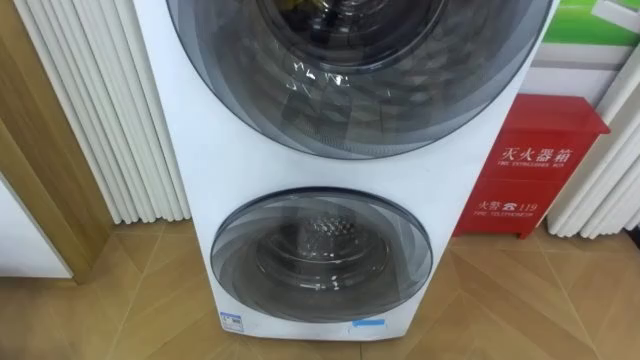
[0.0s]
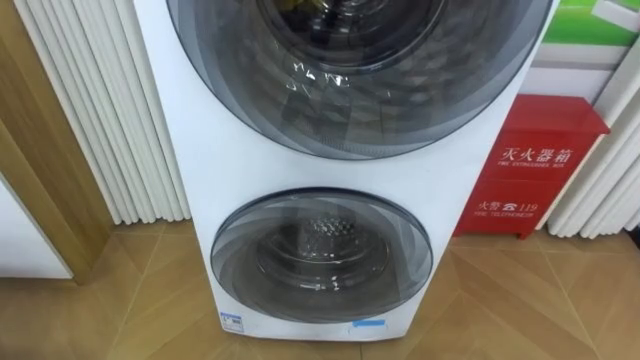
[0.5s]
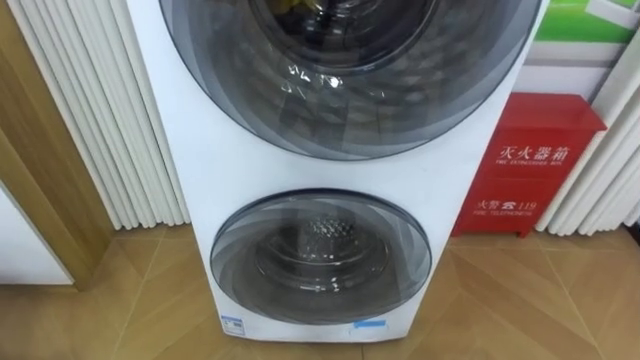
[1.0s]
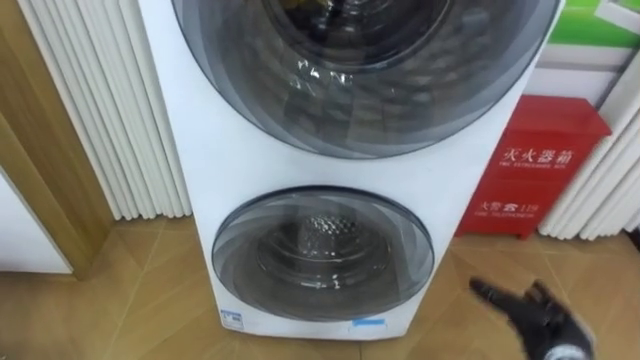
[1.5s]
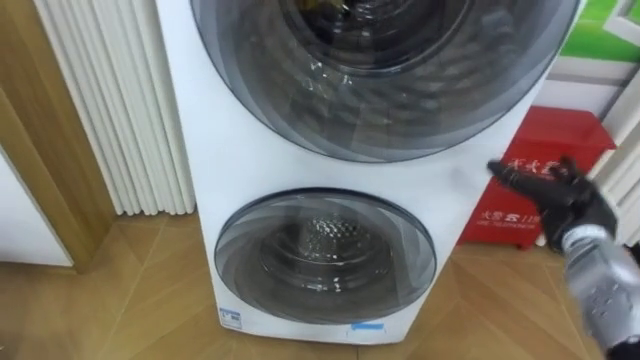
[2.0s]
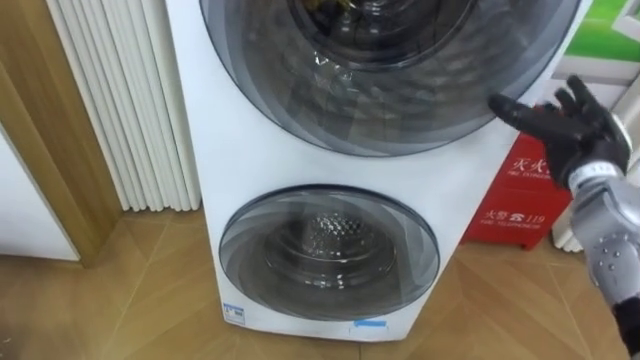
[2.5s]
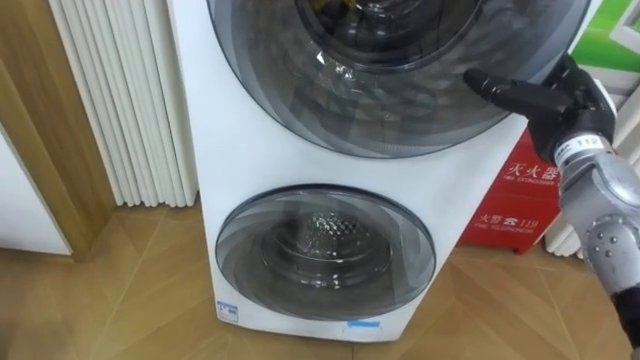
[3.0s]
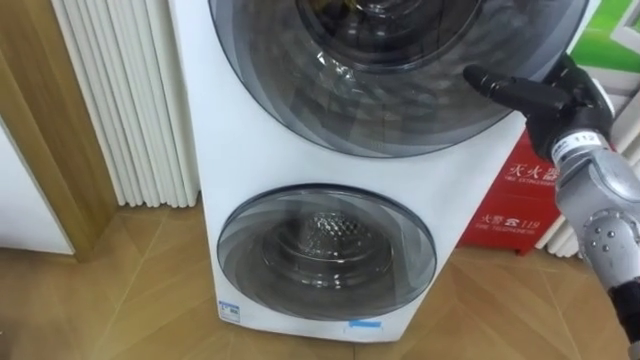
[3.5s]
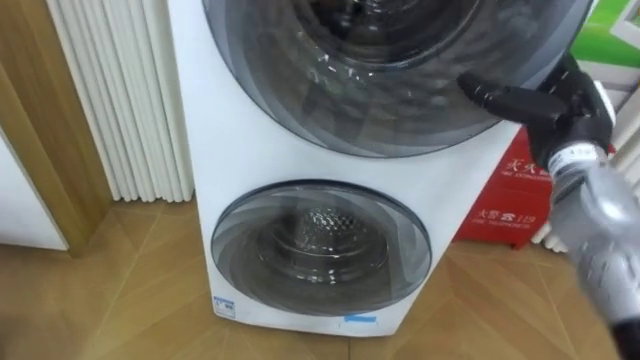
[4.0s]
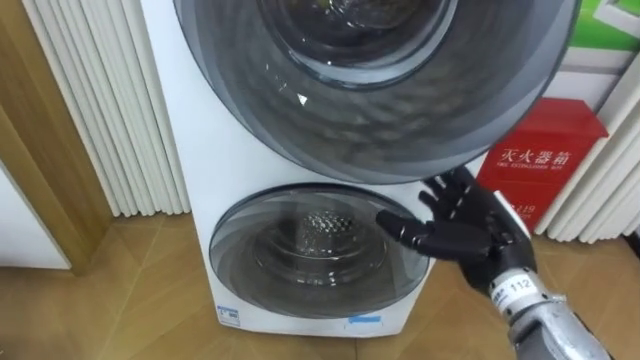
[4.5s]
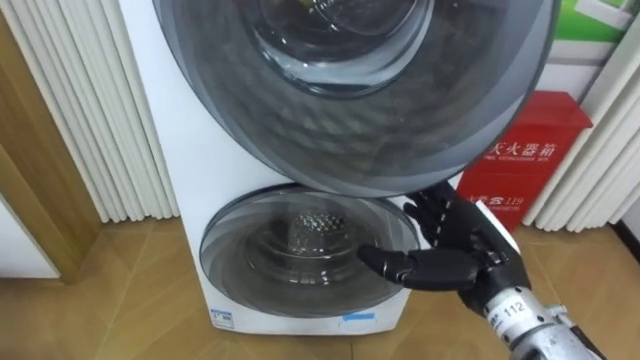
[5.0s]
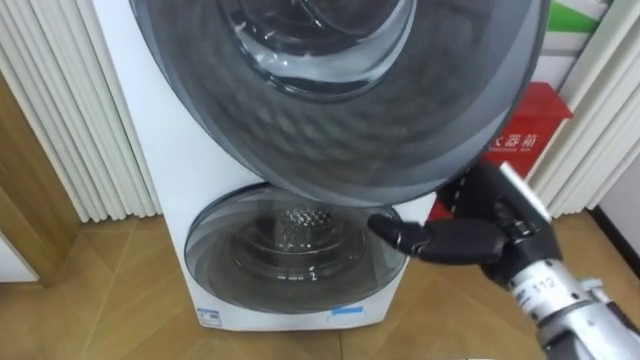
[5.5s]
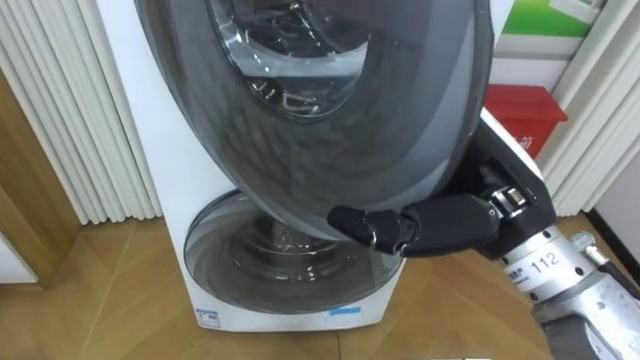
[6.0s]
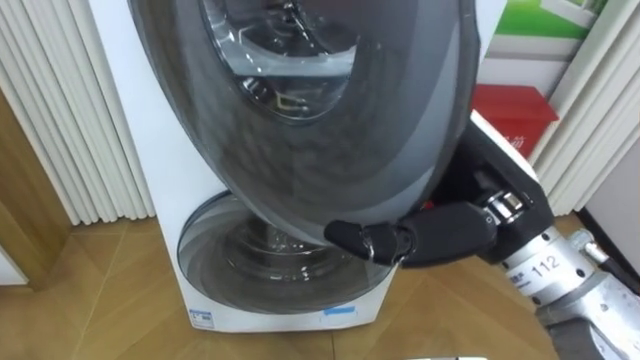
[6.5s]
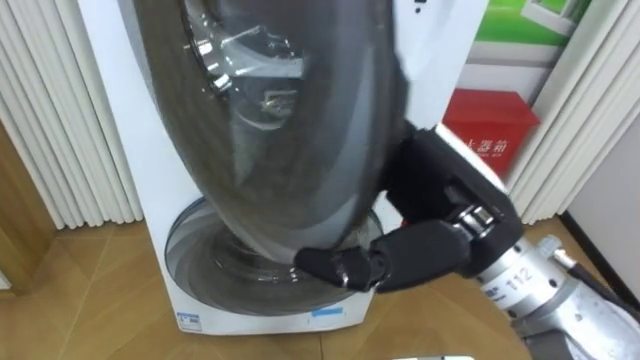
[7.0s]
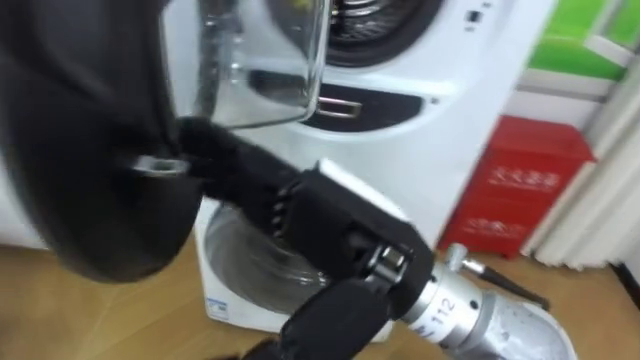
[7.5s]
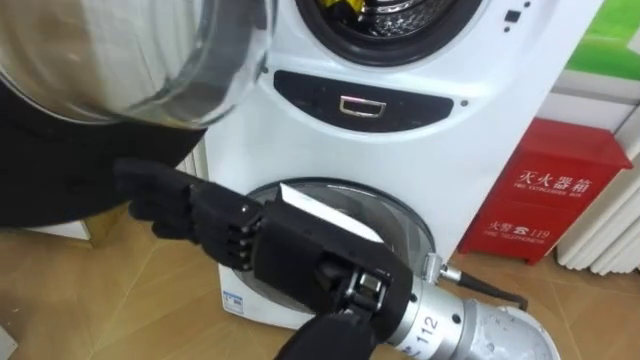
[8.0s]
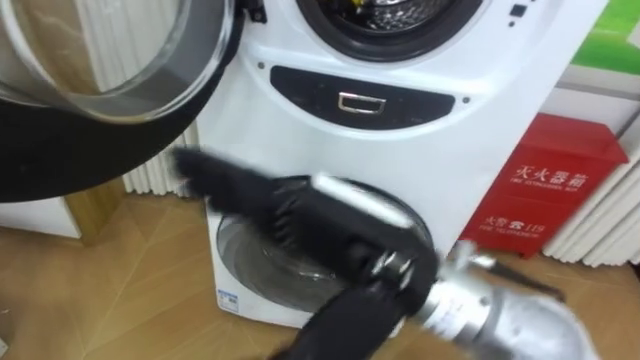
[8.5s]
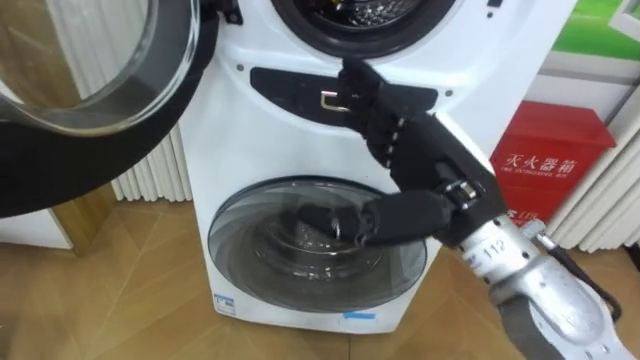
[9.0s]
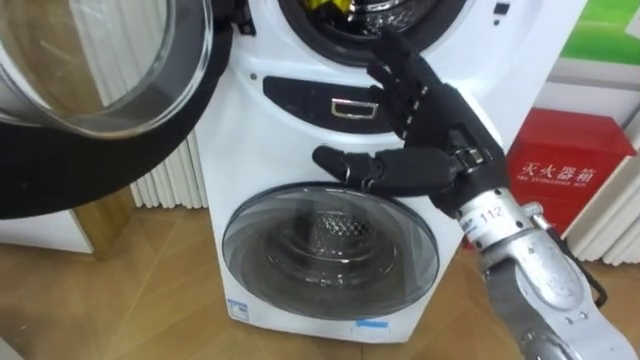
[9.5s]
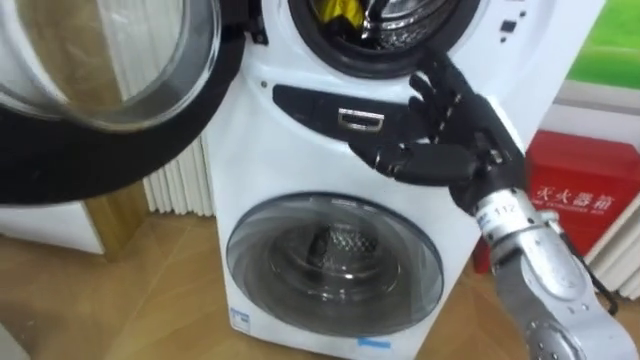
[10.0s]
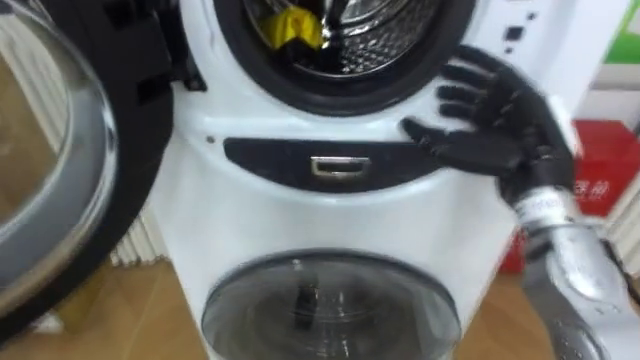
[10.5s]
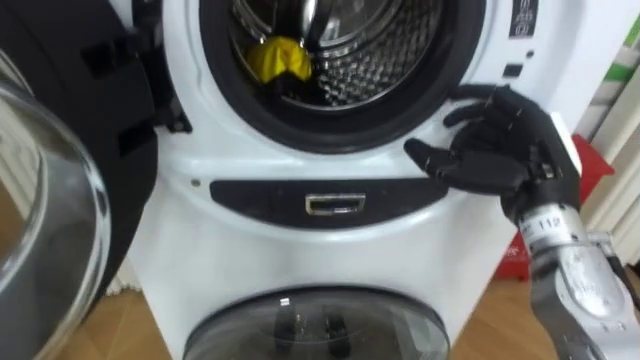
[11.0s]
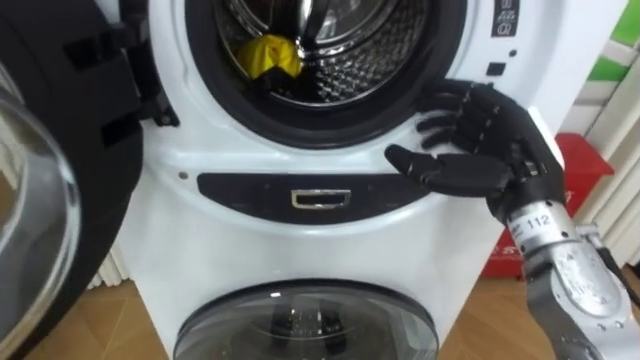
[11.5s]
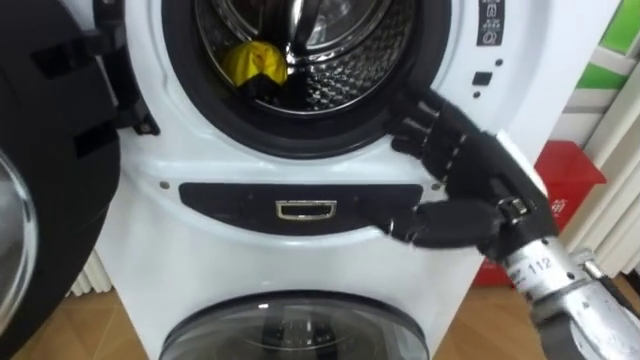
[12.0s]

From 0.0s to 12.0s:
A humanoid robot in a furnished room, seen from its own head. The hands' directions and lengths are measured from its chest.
Task of the whole recording: Open the washing machine door, take out the yellow clothes, place them in the box on the right, and close the washing machine door.
From 2.0s to 4.0s: The right hand is displaced upward and to the left by some 15 cm.
From 4.0s to 6.0s: The right hand goes approximately 15 cm backward and to the left, and moves about 10 cm downward and comes back.
From 6.0s to 8.0s: The right hand moves to the left and backward, approximately 15 cm.
From 8.0s to 10.0s: The right hand travels to the right and forward by about 20 cm.
From 10.0s to 12.0s: The right hand shifts by roughly 5 cm.

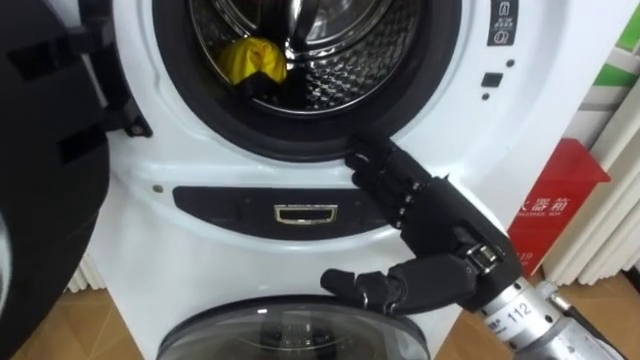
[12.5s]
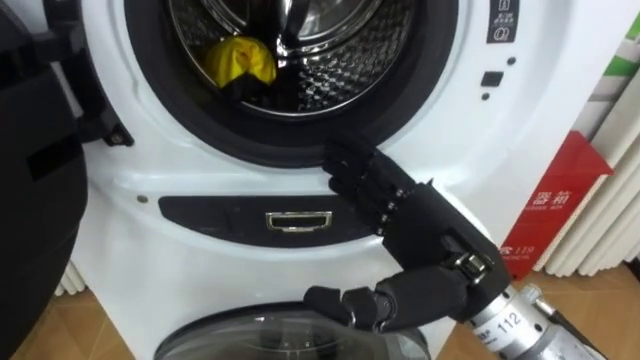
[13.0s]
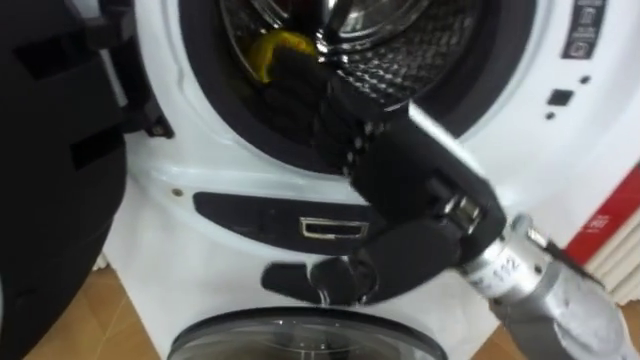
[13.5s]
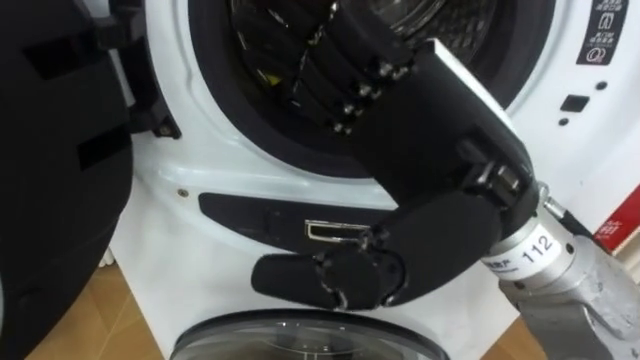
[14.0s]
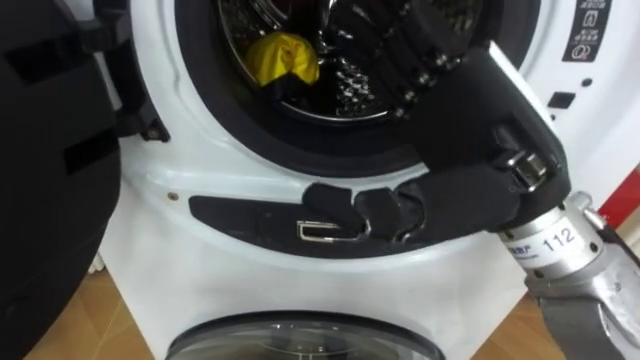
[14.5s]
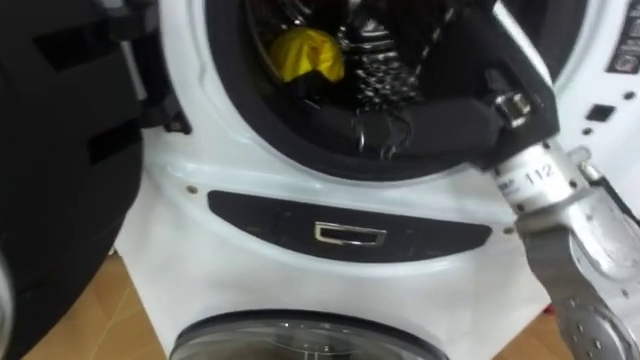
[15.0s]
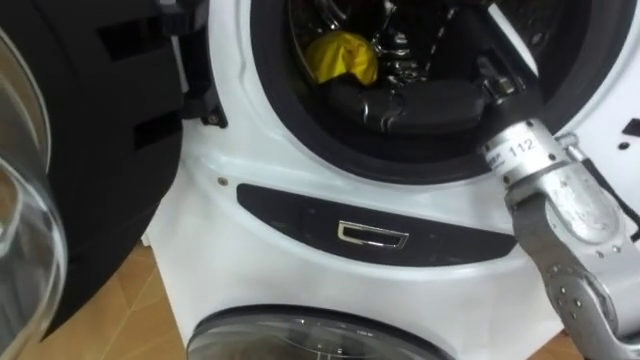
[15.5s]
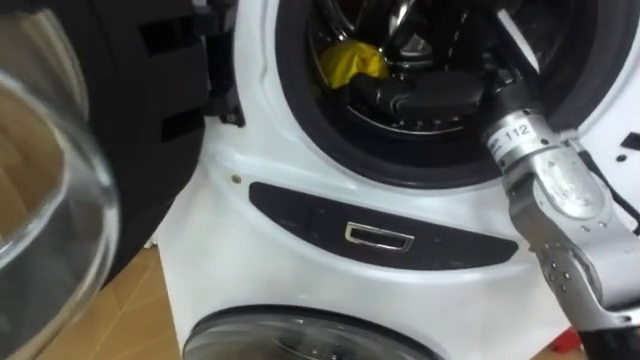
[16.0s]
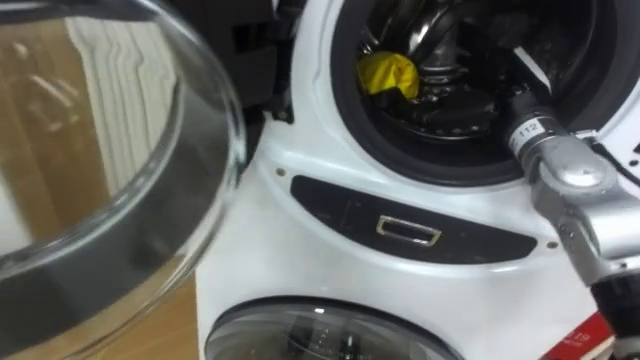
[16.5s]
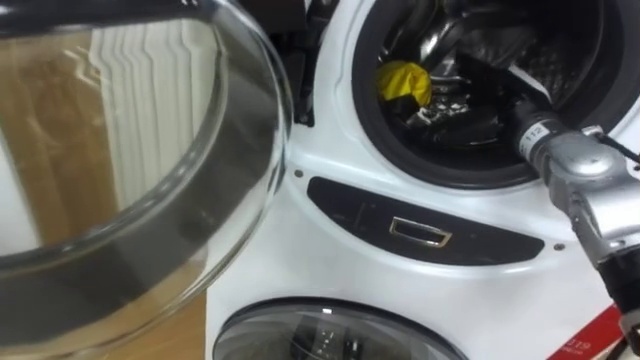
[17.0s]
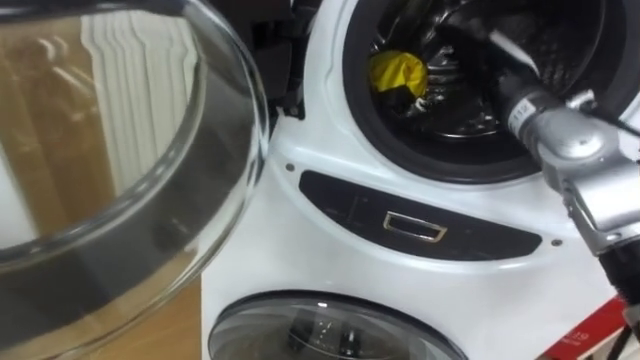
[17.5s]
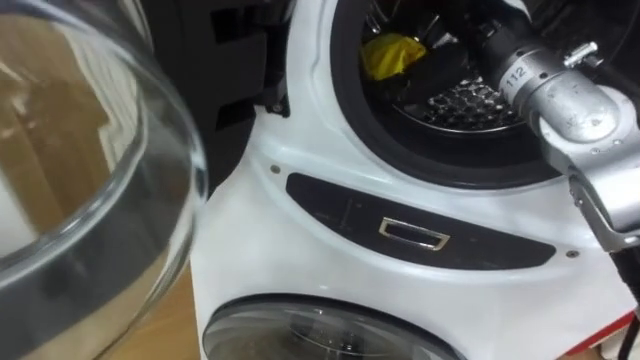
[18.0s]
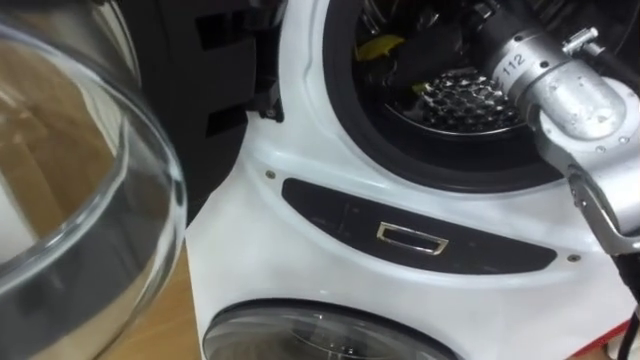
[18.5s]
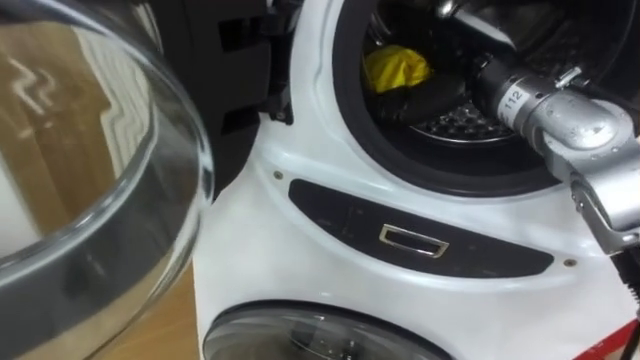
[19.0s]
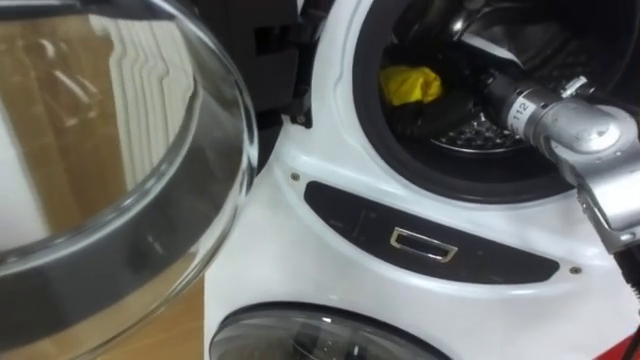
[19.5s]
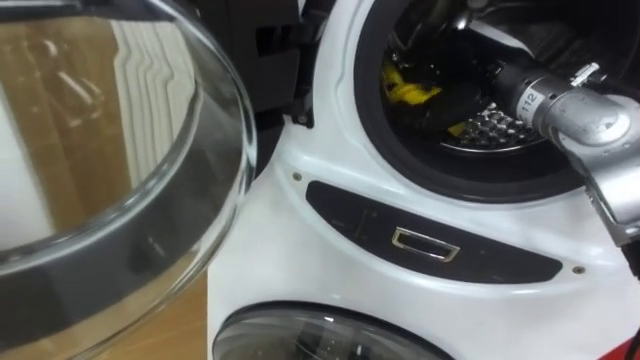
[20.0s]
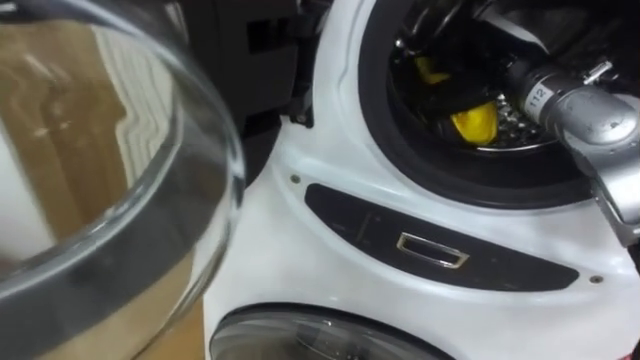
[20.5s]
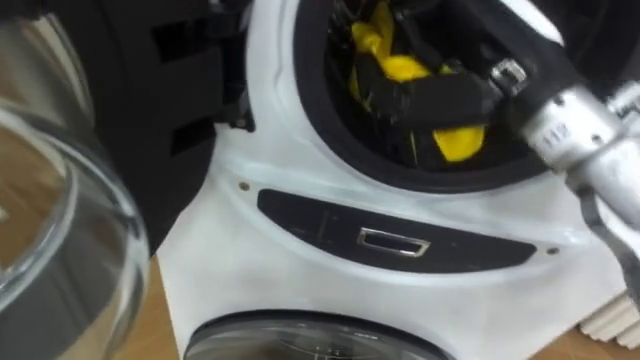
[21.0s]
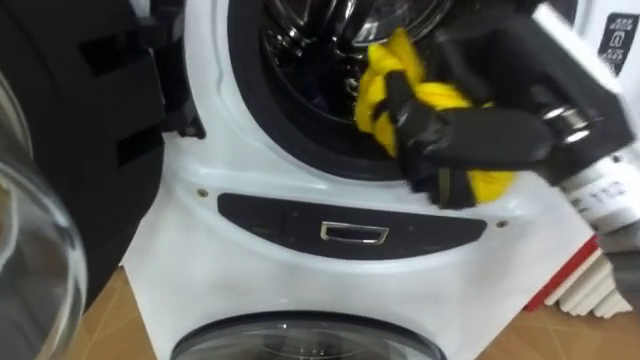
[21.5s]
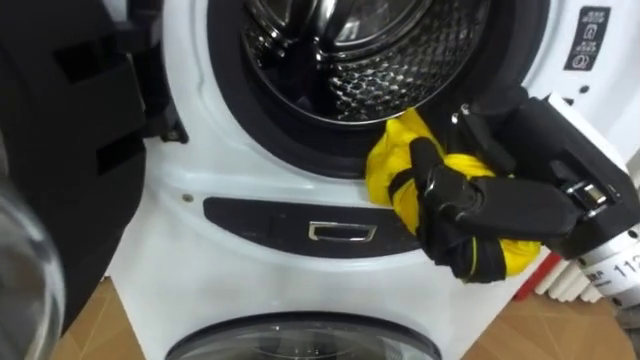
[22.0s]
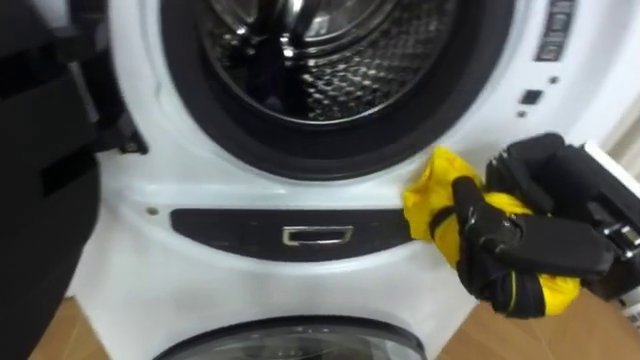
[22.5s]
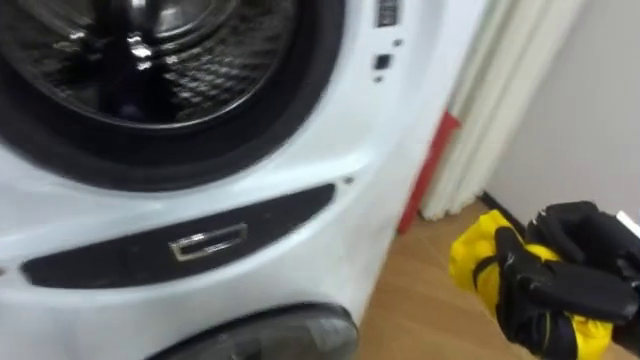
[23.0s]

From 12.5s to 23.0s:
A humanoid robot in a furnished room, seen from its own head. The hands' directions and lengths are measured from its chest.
Task of the whole recording: Open the washing machine door, take out the yellow clothes, place them in the box on the right, and close the washing machine door.
From 12.5s to 14.5s: The right hand heads upward, covering roughly 10 cm.
From 14.5s to 16.5s: The right hand is displaced forward, to the right and downward by roughly 20 cm.
From 16.5s to 19.0s: The right hand moves to the left, roughly 5 cm, and moves some 10 cm upward and comes back.
From 19.0s to 21.0s: The right hand is displaced backward and upward by some 10 cm, and closes its fingers.
From 21.0s to 23.0s: The right hand travels downward, to the right and backward by approximately 25 cm.
